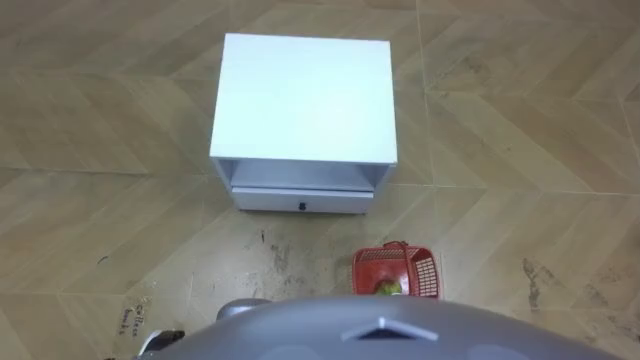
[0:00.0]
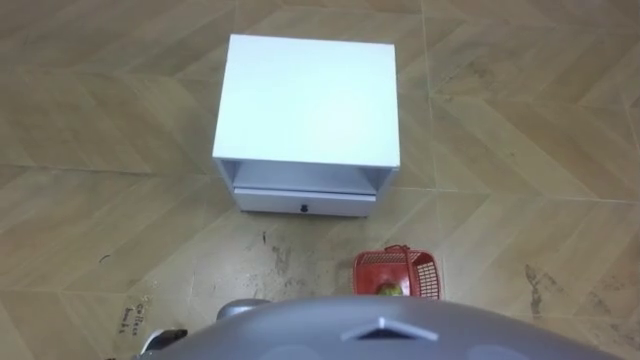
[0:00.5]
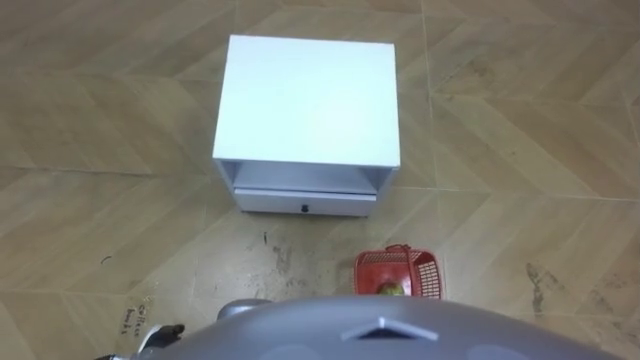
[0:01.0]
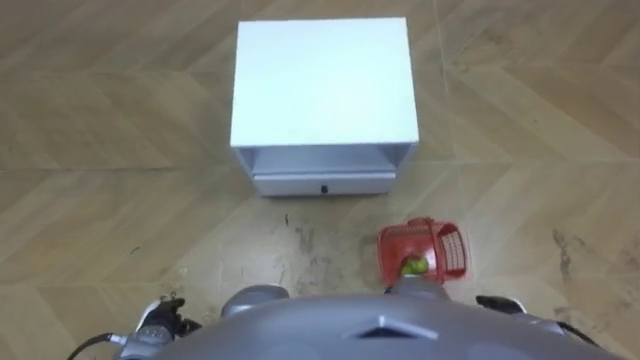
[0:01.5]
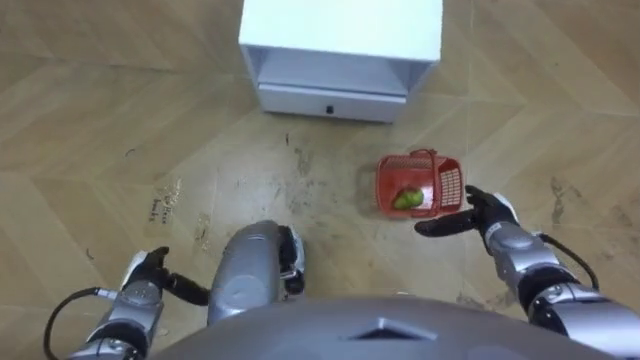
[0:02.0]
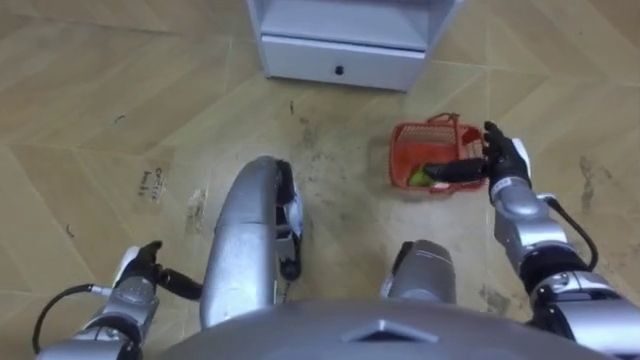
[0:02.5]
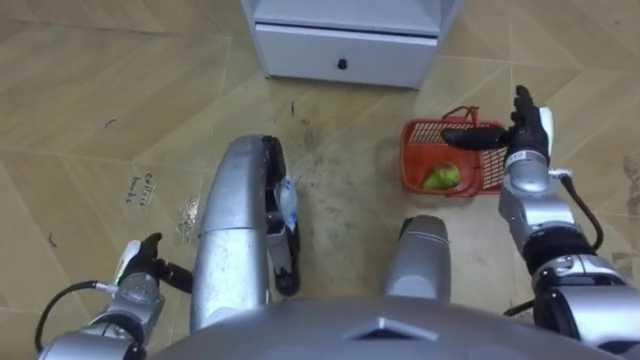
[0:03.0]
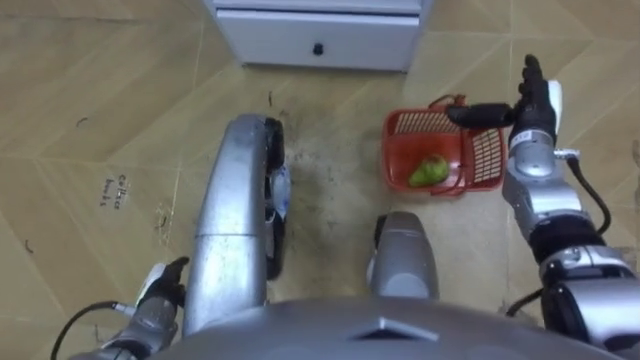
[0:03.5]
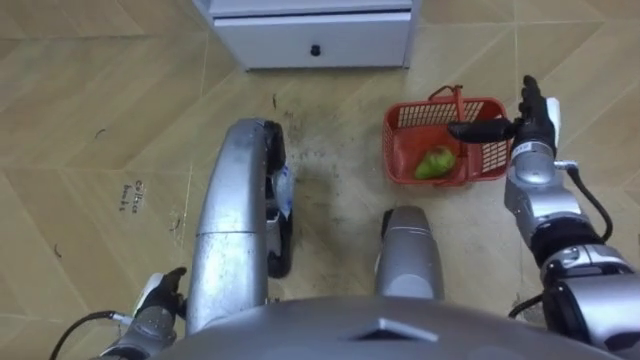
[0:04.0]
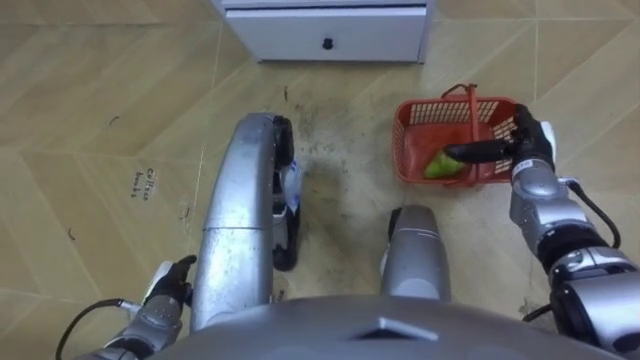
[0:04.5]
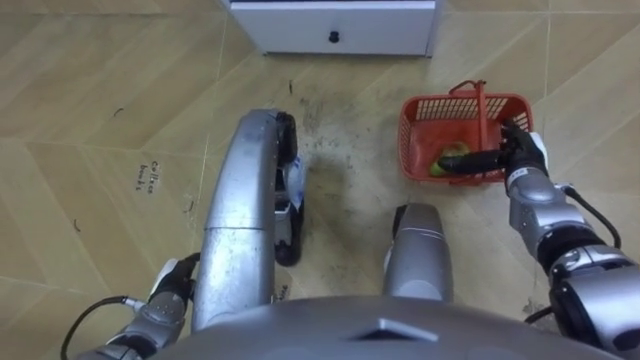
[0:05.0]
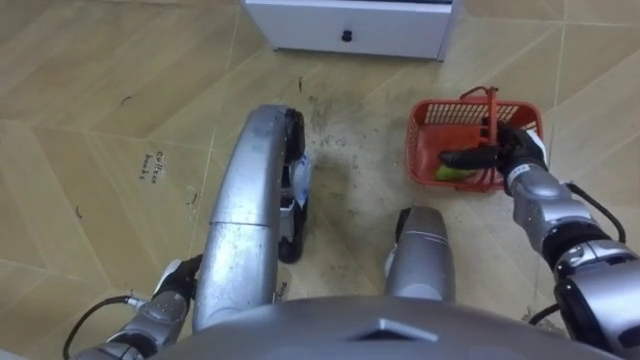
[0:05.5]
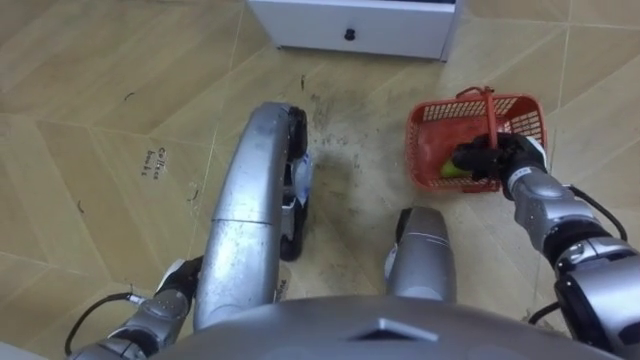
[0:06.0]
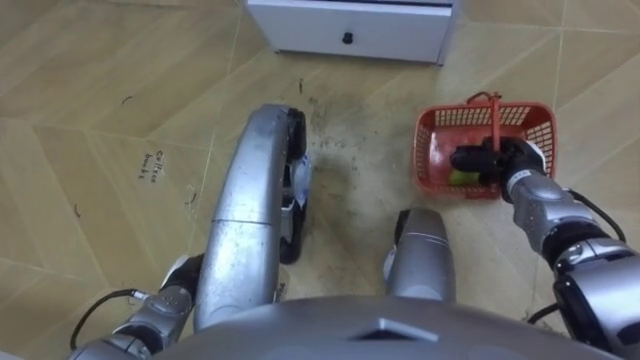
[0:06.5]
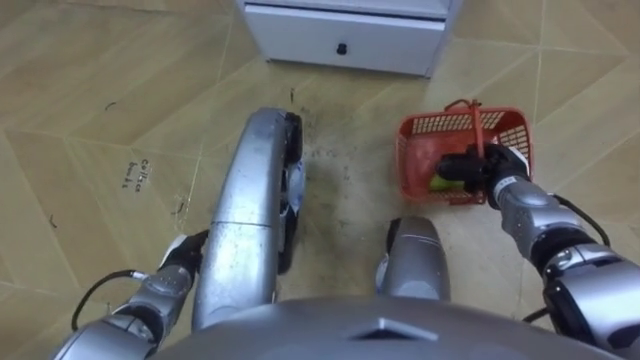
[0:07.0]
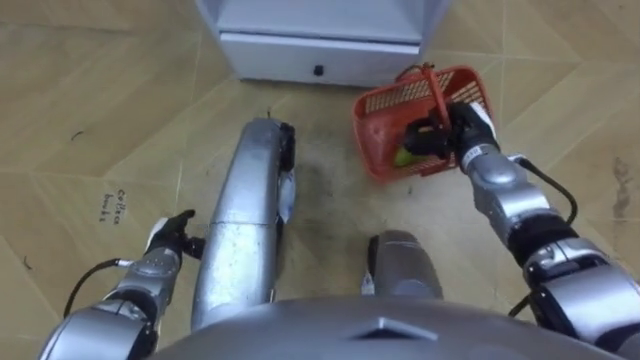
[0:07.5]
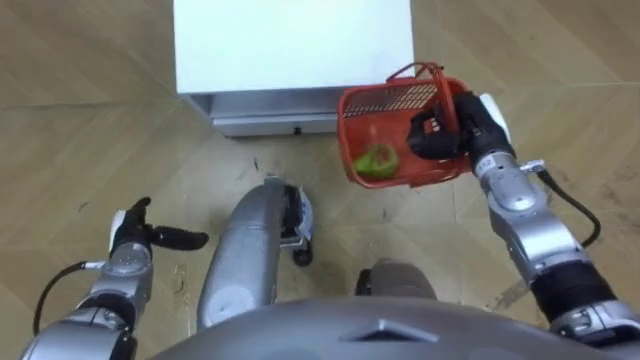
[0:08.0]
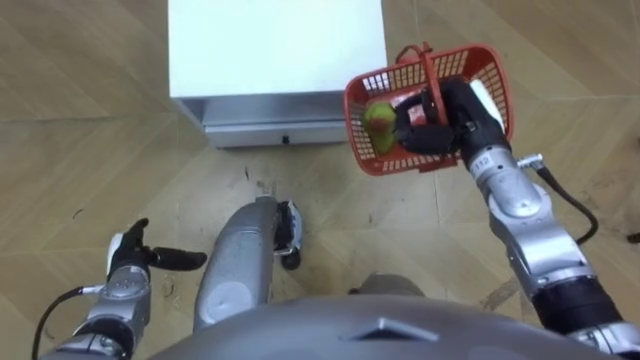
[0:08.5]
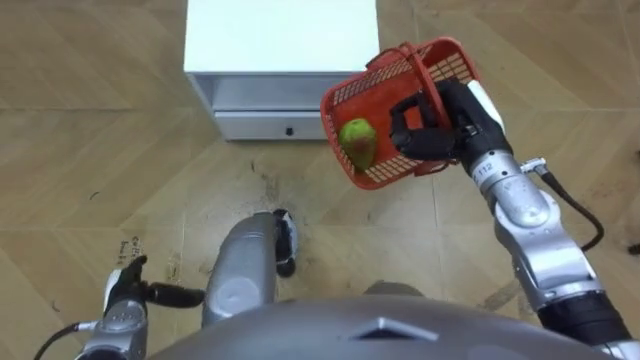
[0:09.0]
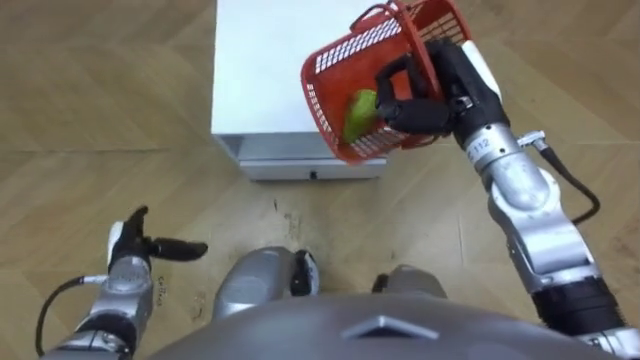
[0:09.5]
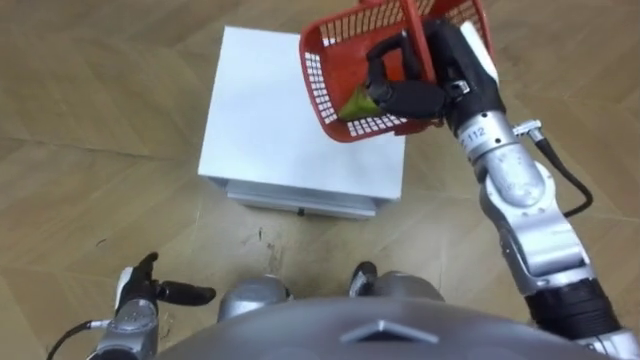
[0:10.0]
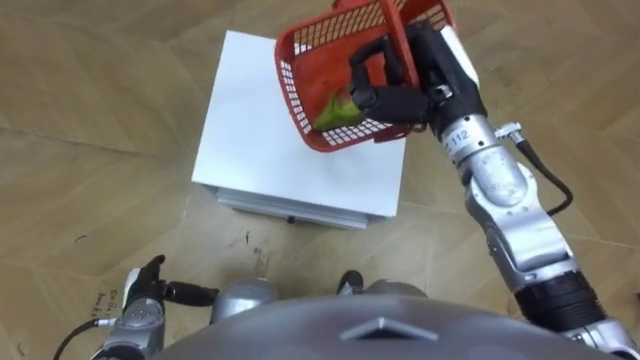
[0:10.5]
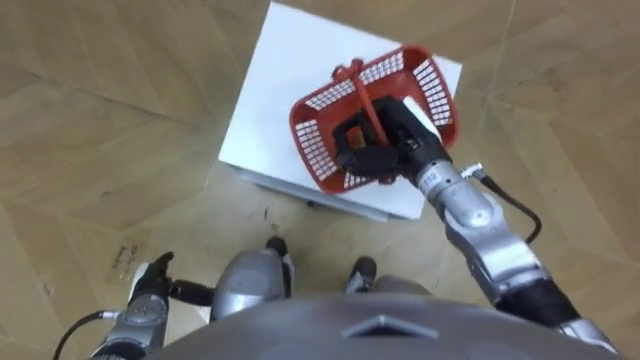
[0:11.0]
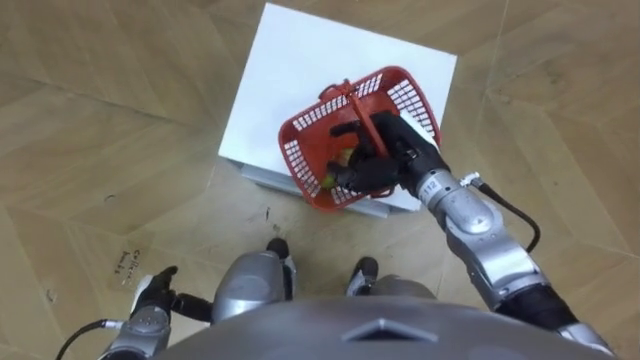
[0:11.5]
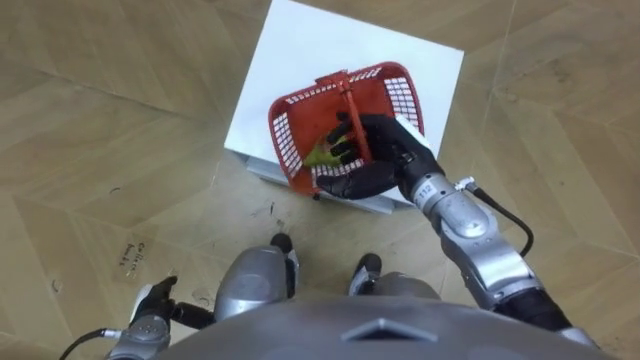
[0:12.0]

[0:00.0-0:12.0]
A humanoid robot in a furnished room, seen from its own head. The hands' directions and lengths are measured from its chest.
Task of the whole recording: Pick up the fruit basket from the floor and place it on the cabinet.
0:02.0 to 0:04.0: The right hand goes approximately 15 cm forward and upward.
0:04.0 to 0:06.0: The right hand shifts by some 5 cm, and closes up.
0:06.0 to 0:08.0: The right hand is displaced to the left and upward by about 10 cm, while the left hand travels forward and to the left by roughly 10 cm.
0:08.0 to 0:10.0: The right hand is displaced upward and to the left by some 15 cm. The left hand moves forward and backward over approximately 10 cm, changing direction 2 times.
0:10.0 to 0:12.0: The right hand is displaced downward by roughly 10 cm, and opens up.

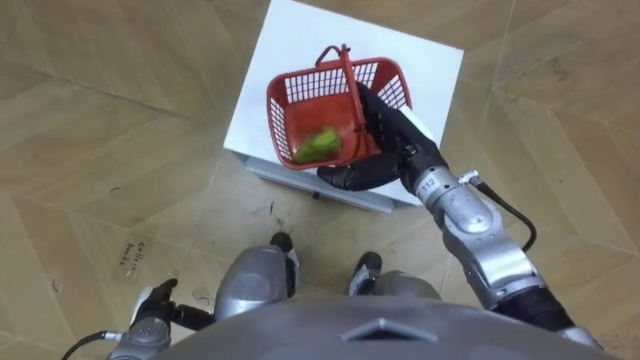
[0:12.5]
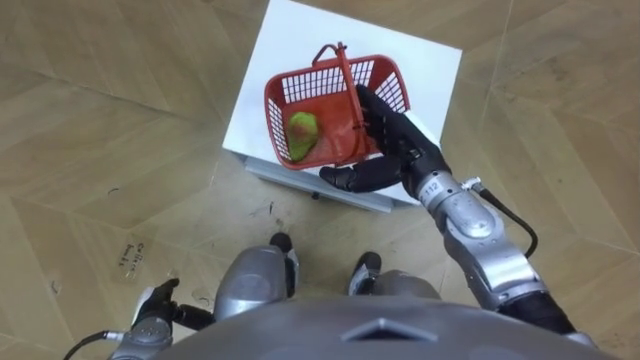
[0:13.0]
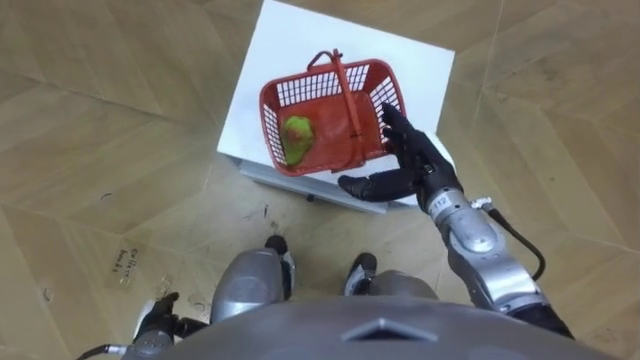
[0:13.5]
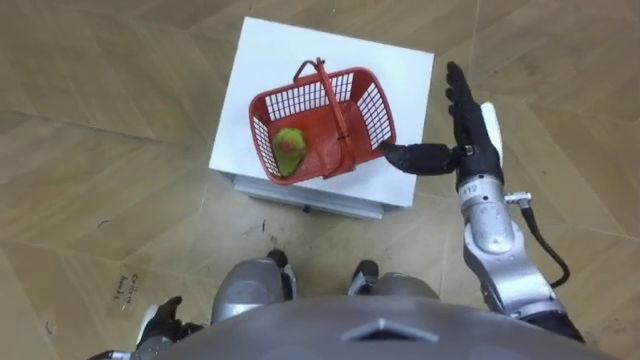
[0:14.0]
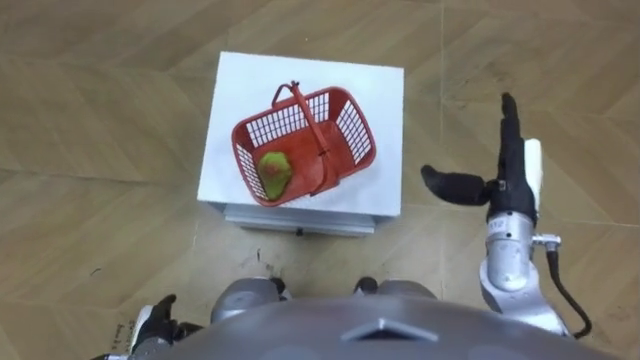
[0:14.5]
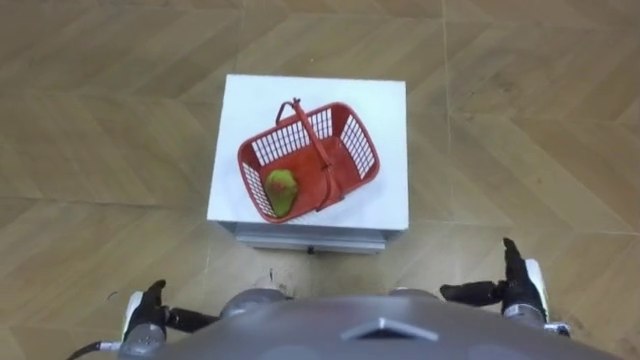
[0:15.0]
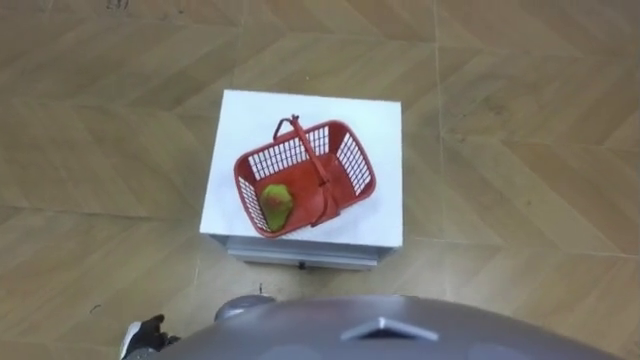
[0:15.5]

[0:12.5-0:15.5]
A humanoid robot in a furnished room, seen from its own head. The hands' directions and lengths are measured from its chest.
Task of the whole recording: Pick up the fruit basket from the floor and place it on the cabinet.
0:12.5 to 0:14.0: The right hand is displaced to the right by some 10 cm.

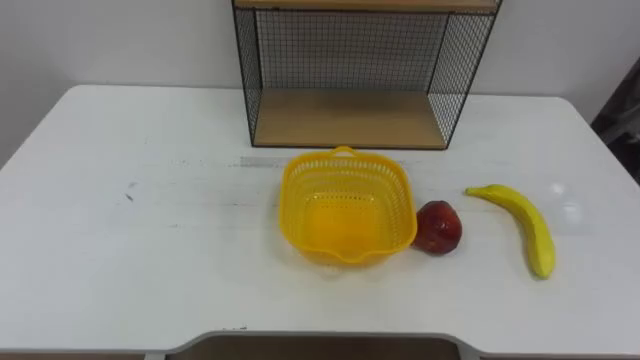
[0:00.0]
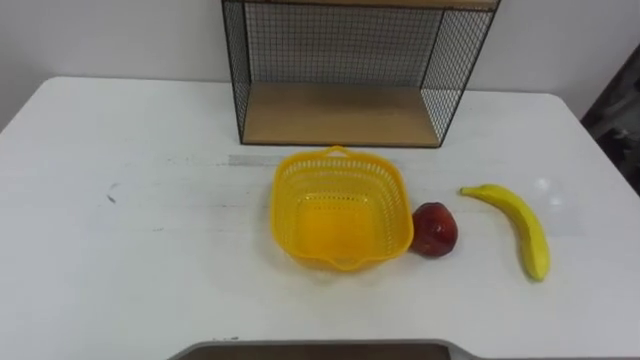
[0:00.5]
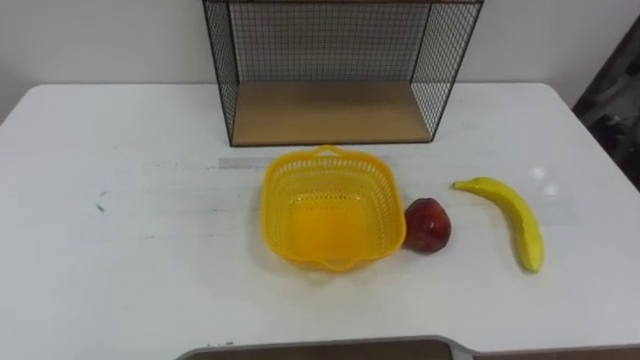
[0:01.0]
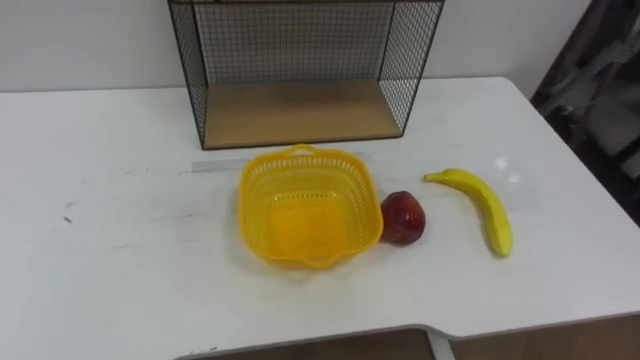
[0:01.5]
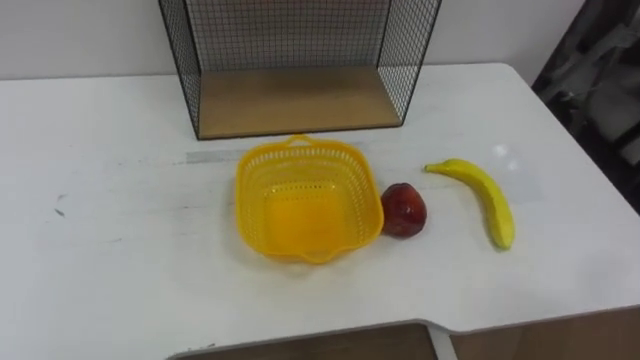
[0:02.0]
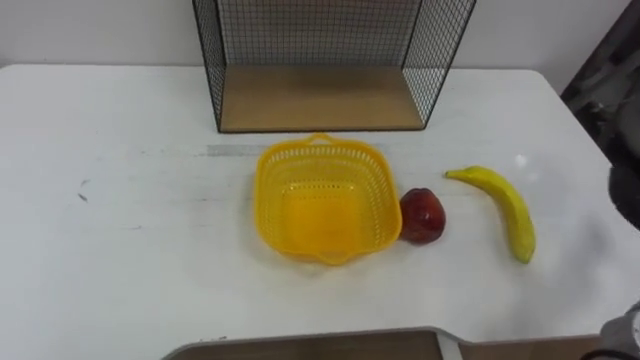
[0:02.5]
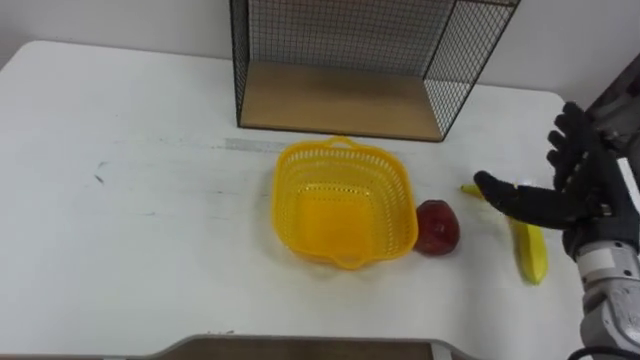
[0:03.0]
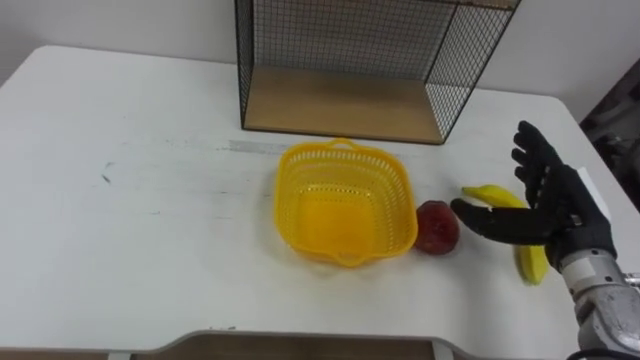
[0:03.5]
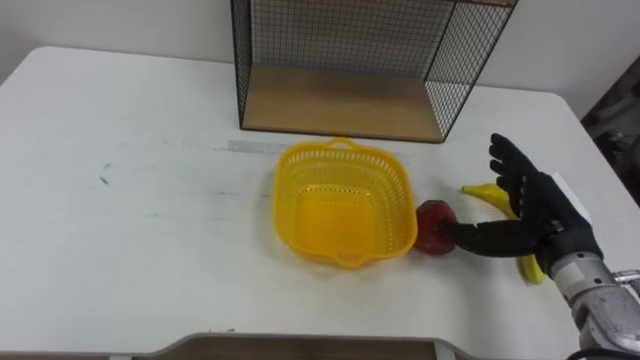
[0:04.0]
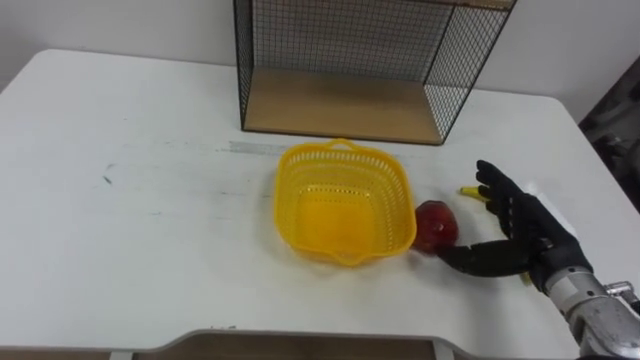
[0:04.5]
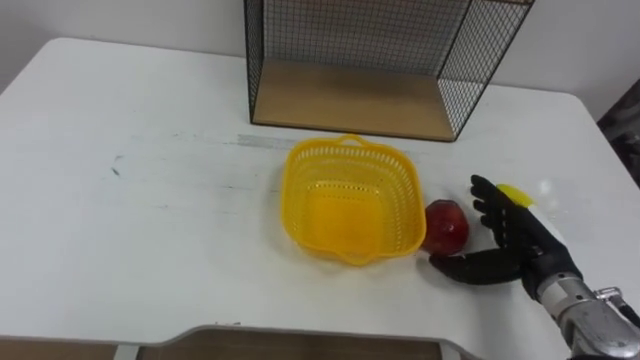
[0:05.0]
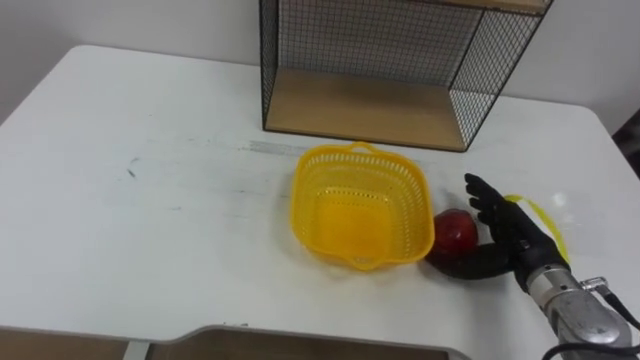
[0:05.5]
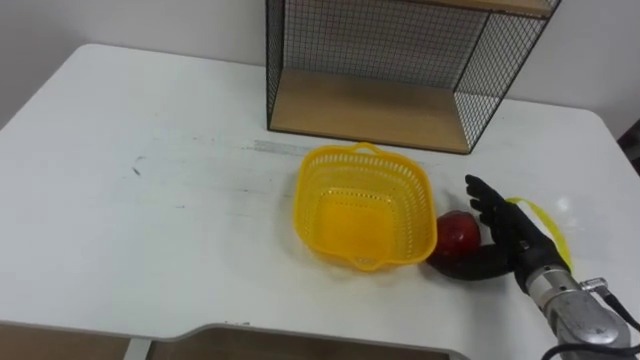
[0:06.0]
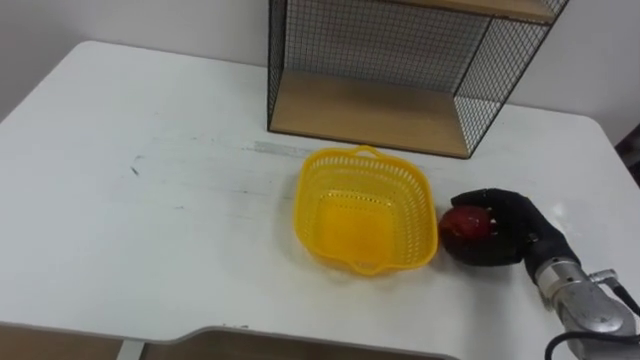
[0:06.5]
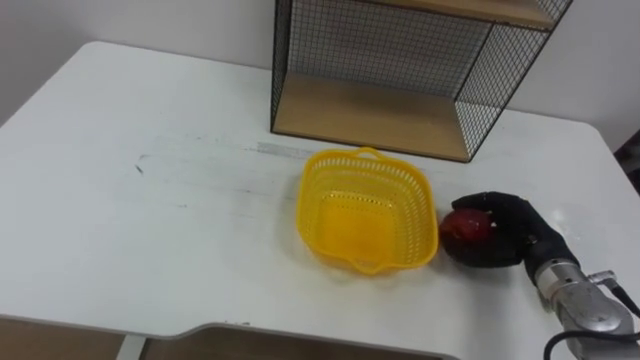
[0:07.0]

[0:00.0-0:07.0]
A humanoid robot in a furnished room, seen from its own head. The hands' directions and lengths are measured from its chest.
Task of the whole recording: Put the fruit on the table into the basket, then place the basket on the shelf.
0:03.5 to 0:05.0: The right hand is displaced downward by about 5 cm.
0:05.0 to 0:07.0: The right hand closes.
